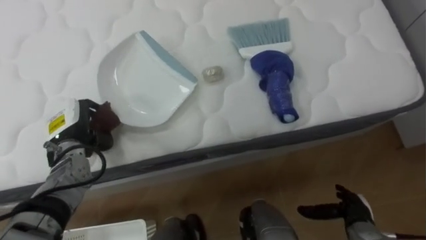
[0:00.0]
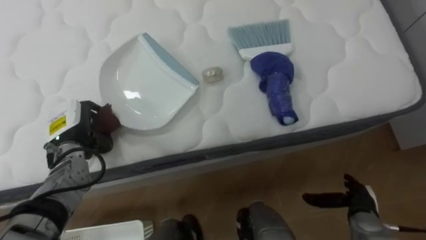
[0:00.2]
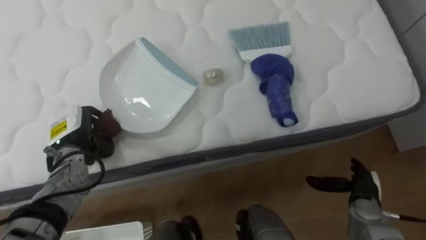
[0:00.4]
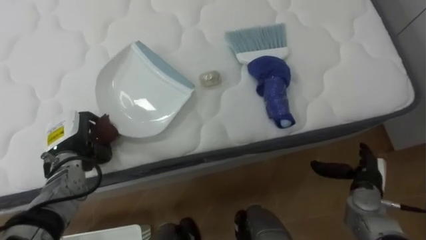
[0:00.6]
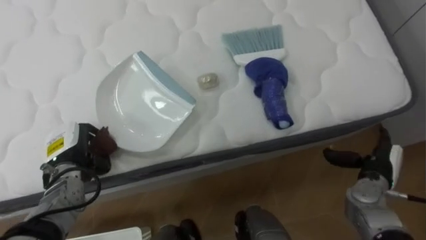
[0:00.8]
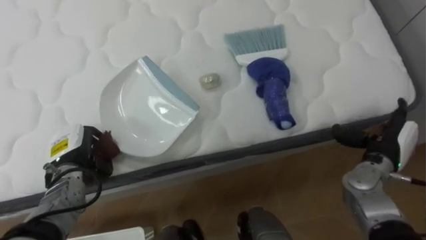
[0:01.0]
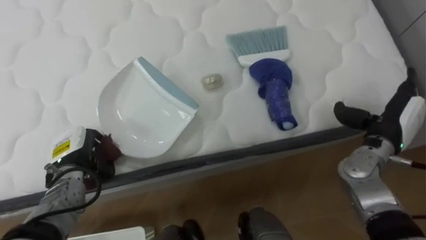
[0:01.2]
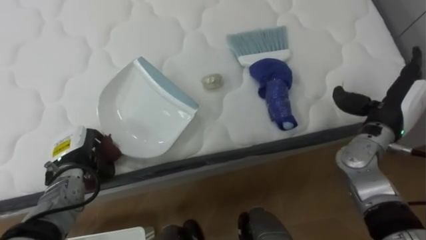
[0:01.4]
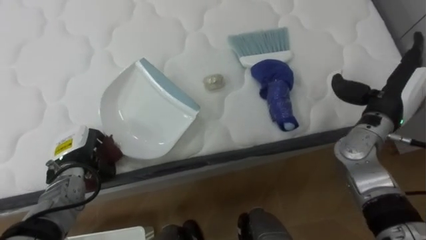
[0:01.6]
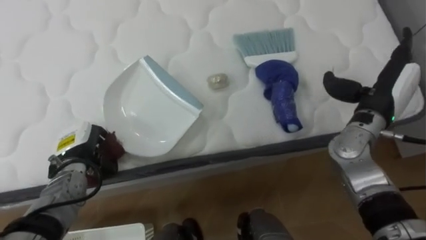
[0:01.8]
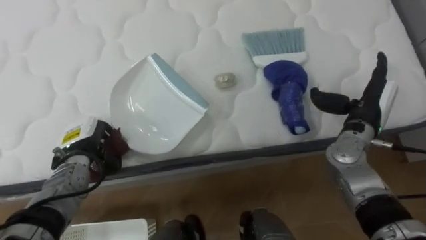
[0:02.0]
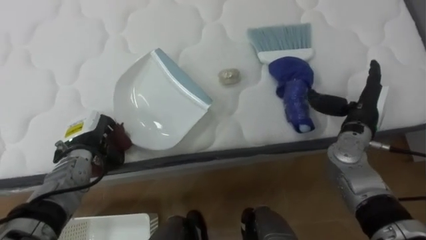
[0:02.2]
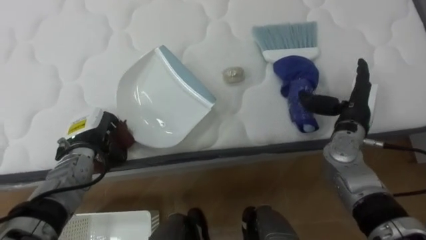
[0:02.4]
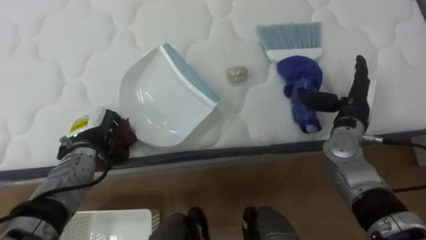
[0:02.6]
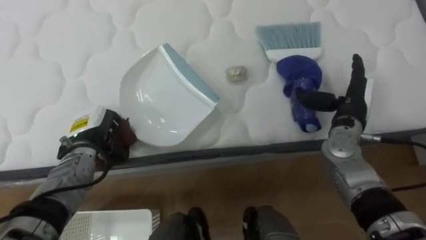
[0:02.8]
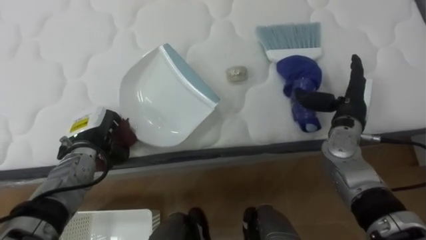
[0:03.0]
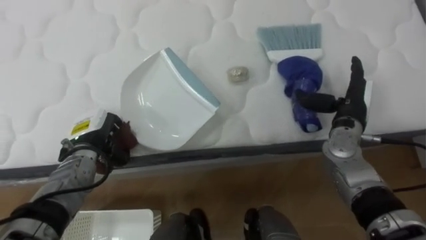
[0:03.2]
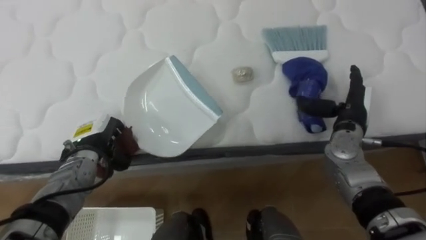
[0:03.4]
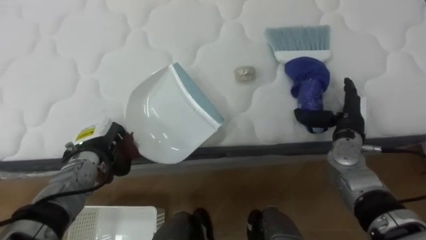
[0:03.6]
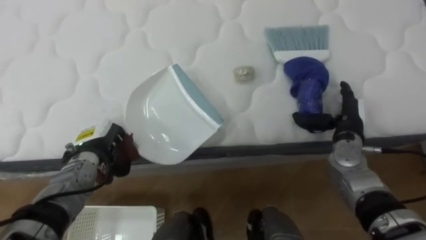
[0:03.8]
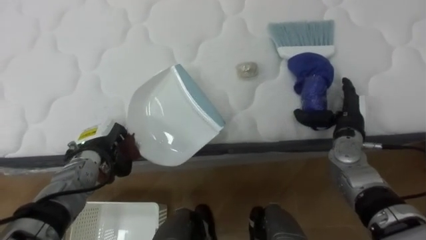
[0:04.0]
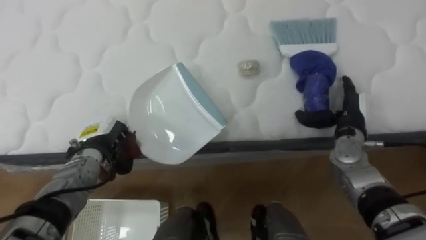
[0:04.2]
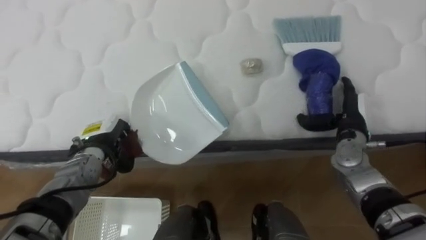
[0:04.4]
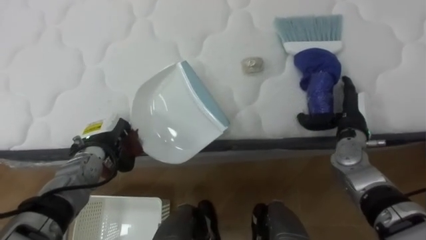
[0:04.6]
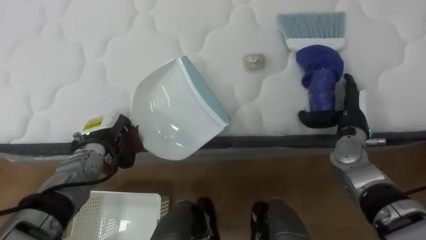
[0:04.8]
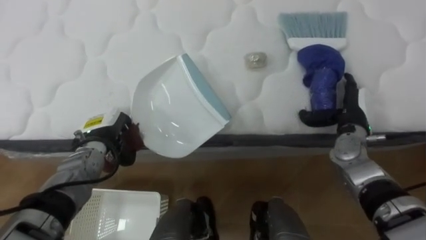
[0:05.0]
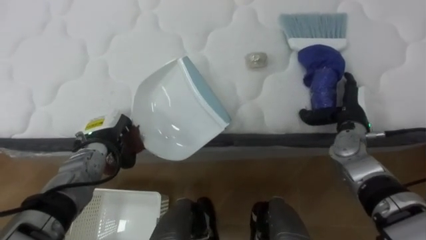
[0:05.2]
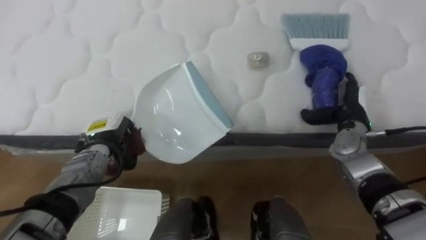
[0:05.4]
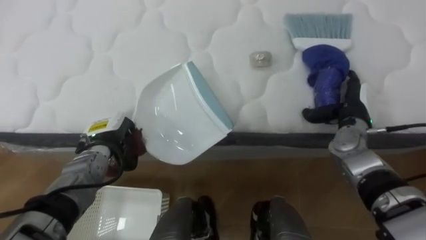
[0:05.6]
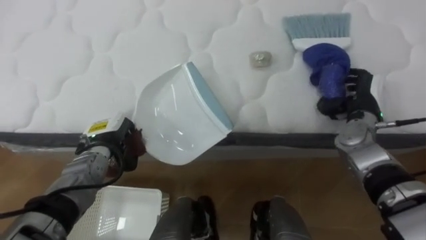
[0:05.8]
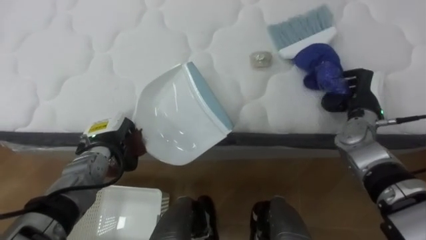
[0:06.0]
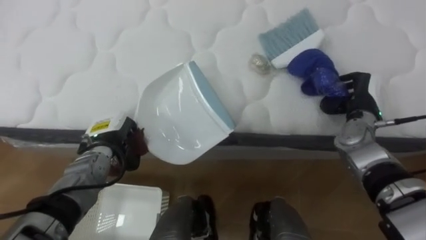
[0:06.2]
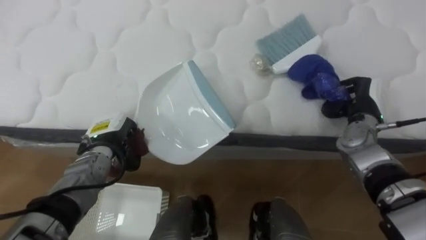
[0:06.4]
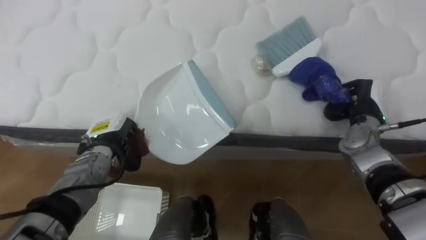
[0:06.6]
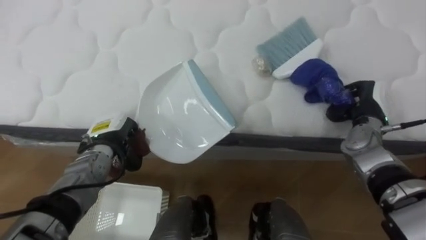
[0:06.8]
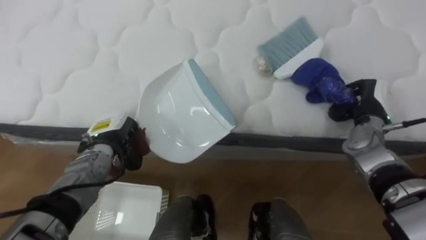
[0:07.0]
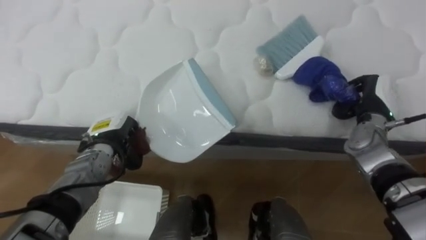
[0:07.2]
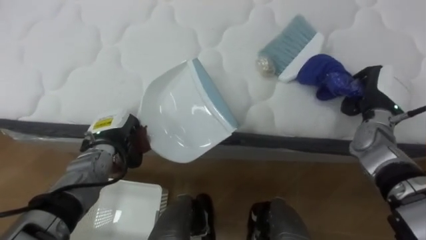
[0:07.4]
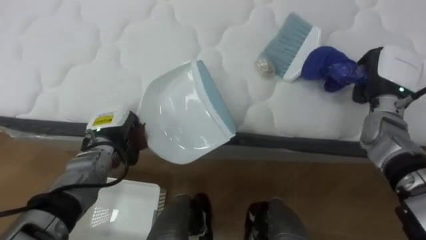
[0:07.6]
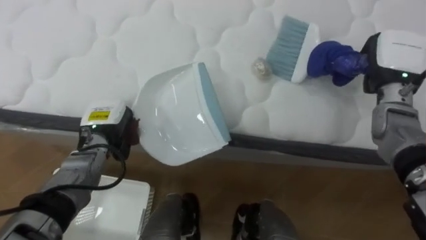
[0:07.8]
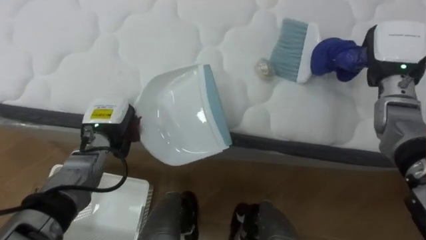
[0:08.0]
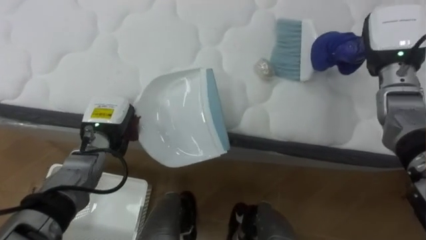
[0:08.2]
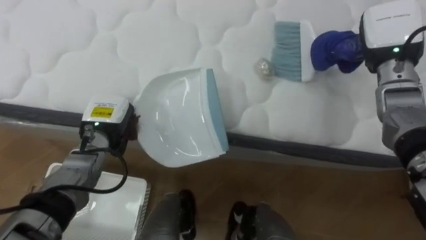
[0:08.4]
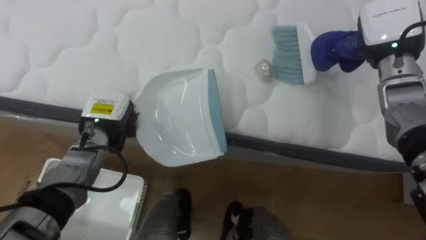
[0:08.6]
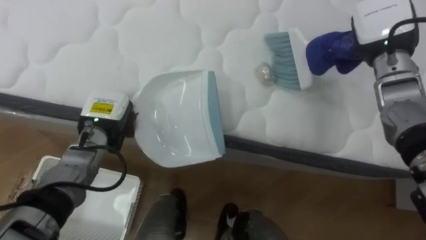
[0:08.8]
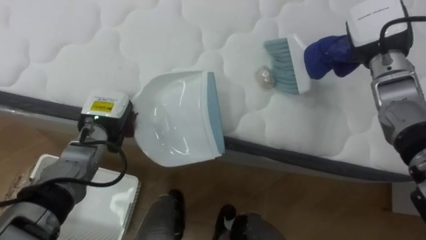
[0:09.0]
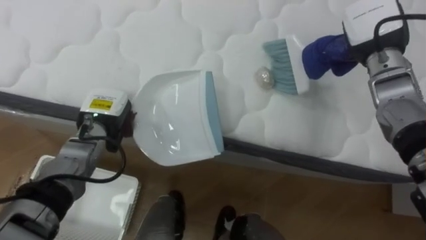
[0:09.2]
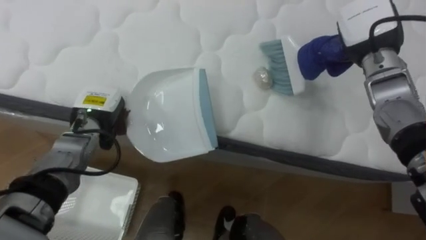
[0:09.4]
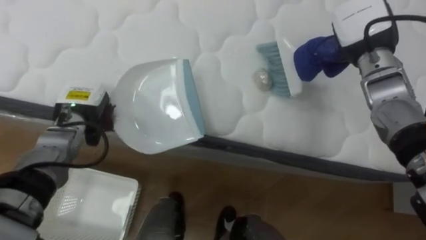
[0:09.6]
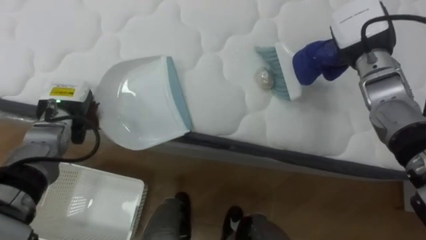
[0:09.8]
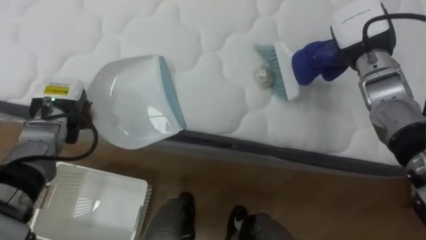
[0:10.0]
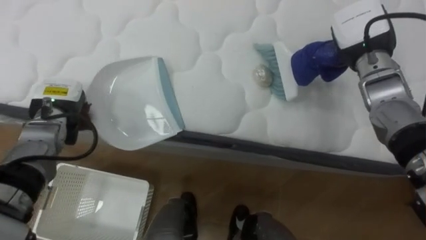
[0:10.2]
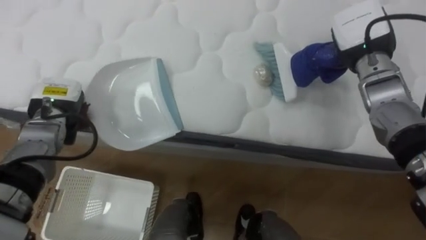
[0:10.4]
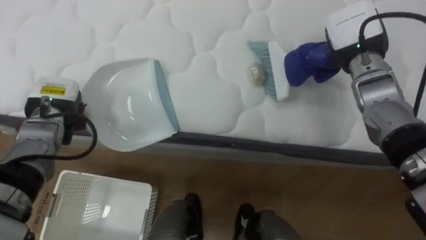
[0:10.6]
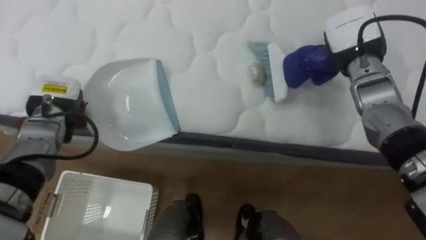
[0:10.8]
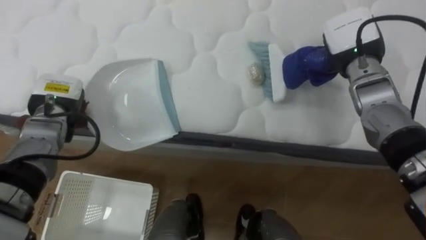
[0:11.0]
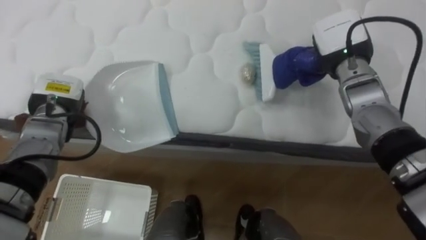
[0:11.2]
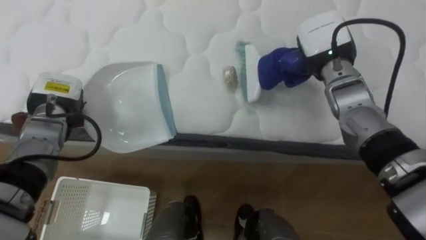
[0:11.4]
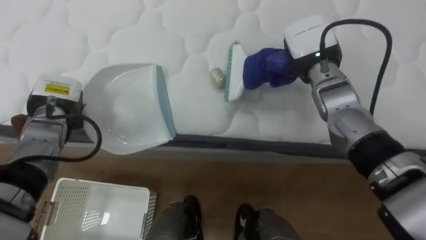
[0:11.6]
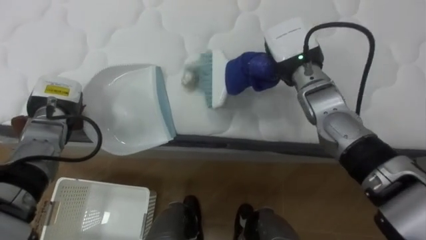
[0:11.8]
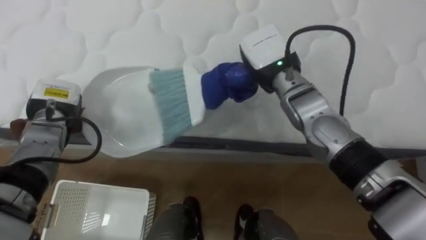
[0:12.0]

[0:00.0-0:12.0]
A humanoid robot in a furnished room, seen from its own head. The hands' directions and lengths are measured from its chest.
Task of the whole recording: Pick up the brush on your right and the dustpan on your left. Use the brush to sweep the crumpled paper on the bed into the dustpan, then turn left and empty it into the basket.
0:00.0 to 0:01.6: The left hand shifts approximately 5 cm downward, while the right hand goes approximately 25 cm upward and forward.
0:01.6 to 0:03.0: The right hand shifts by some 5 cm. The left hand shifts by approximately 5 cm.
0:04.4 to 0:06.0: The right hand closes.
0:06.0 to 0:07.6: The right hand moves some 5 cm.
0:07.6 to 0:09.0: The right hand is displaced upward by about 10 cm.
0:09.0 to 0:10.4: The left hand shifts some 10 cm to the left.
0:10.4 to 0:12.0: The right hand travels to the left by approximately 15 cm.

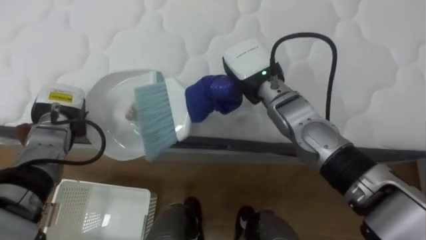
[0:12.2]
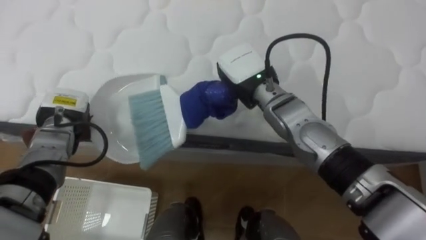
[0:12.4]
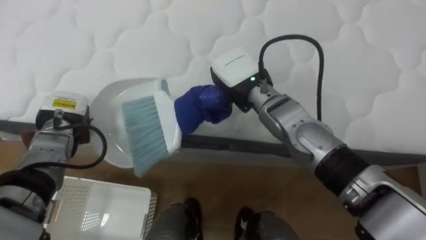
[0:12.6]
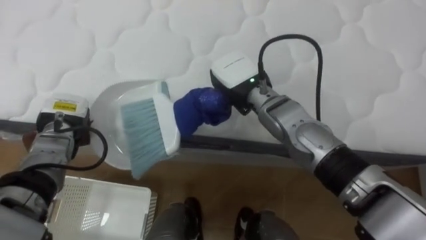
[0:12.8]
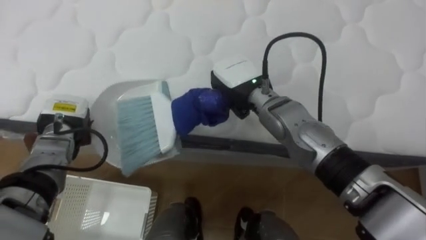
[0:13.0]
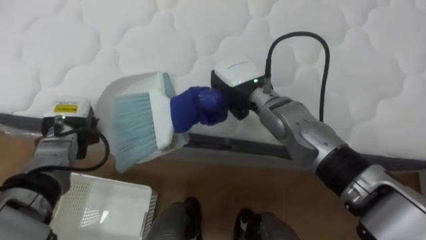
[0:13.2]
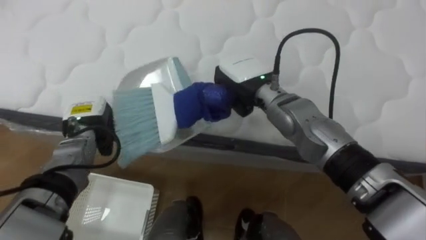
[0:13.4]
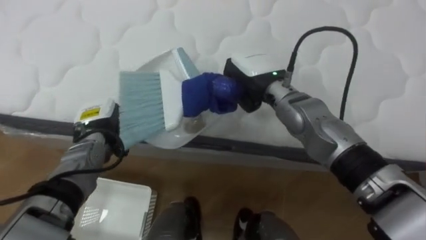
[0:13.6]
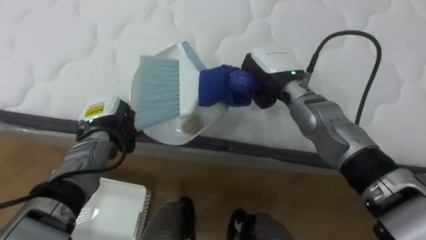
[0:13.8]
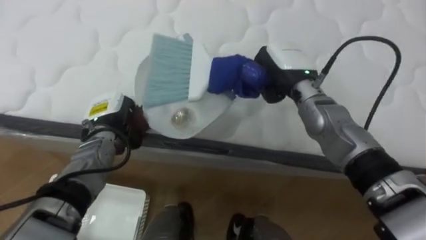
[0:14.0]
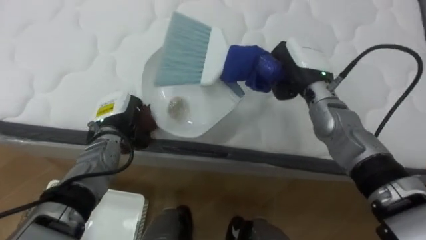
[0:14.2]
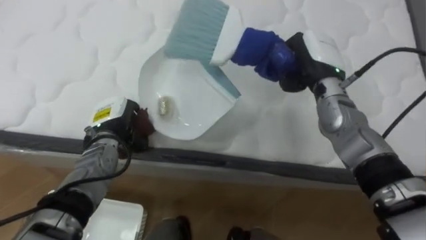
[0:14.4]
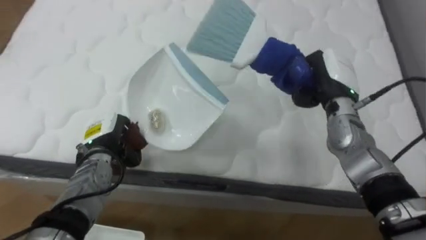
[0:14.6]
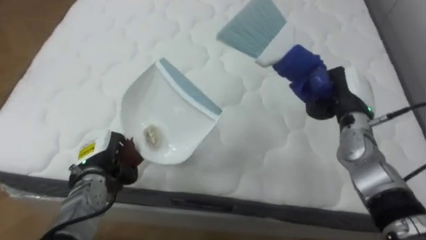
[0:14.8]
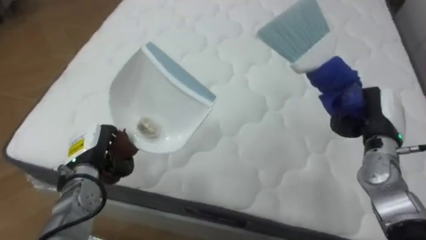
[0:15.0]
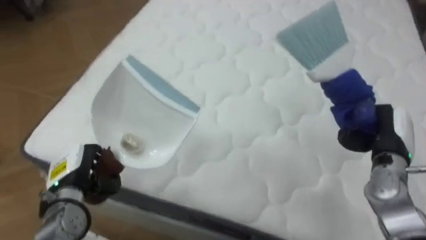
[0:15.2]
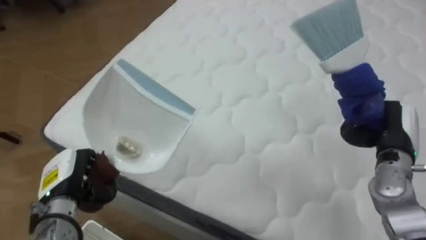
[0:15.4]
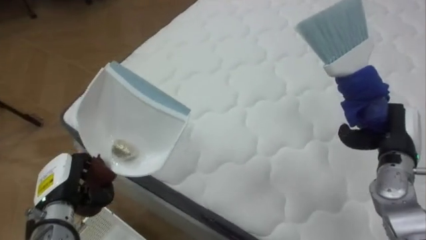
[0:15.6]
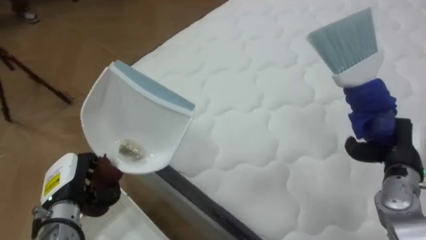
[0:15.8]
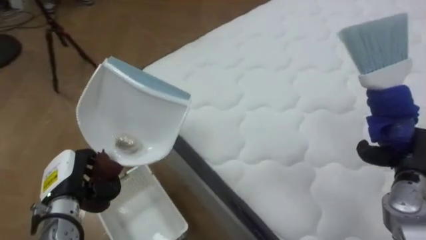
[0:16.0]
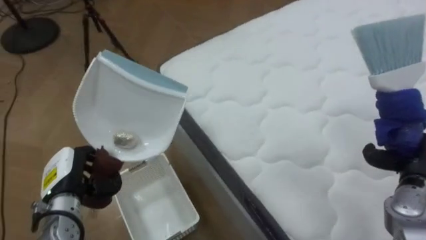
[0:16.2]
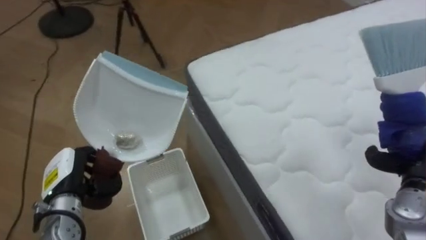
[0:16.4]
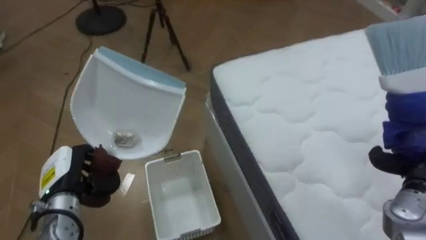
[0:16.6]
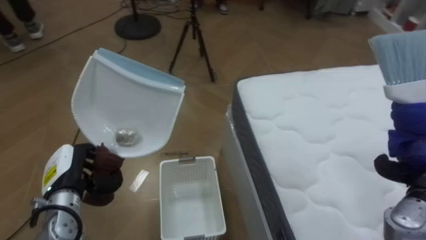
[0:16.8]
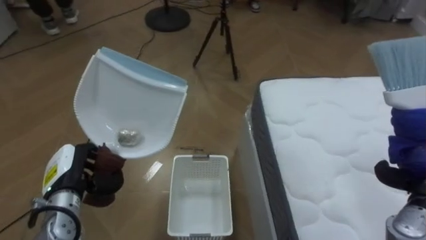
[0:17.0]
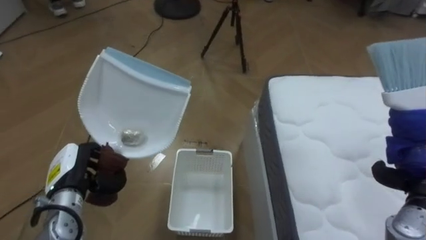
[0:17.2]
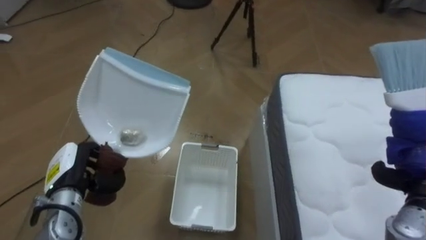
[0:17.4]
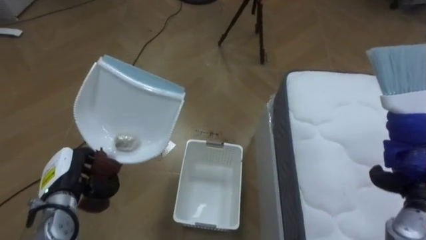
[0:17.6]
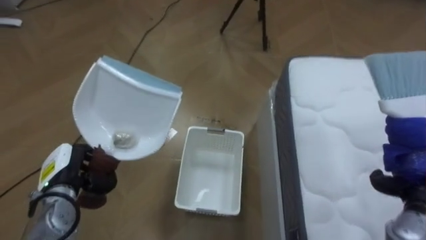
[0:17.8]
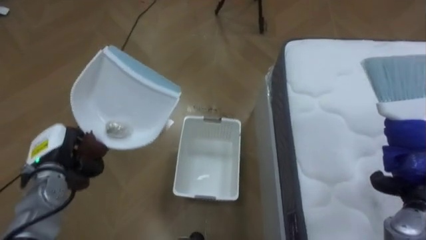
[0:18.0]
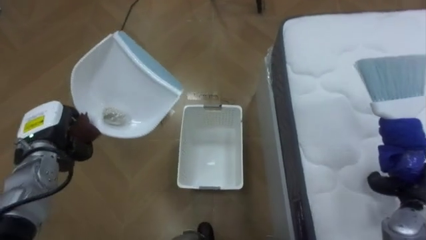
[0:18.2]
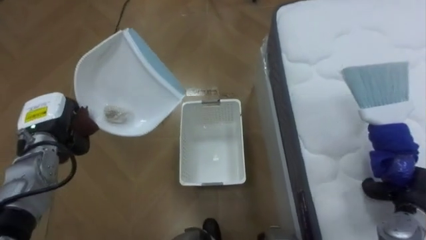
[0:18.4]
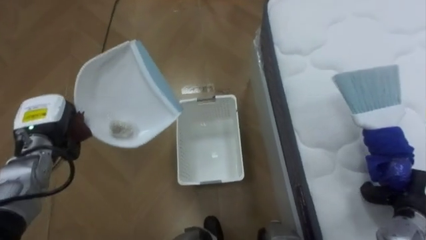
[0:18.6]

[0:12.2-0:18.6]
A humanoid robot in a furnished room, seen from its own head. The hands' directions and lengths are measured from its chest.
Task of the whole recording: Pick up the brush on your right and the dustpan on your left. Use the brush to sweep the crumpled paper on the bed into the dustpan, then turn left and empty it into the basket.
0:12.2 to 0:13.8: The left hand moves to the right, roughly 5 cm.
0:13.8 to 0:15.4: The robot faces some 20 degrees further to its left. The right hand goes roughly 25 cm to the right and backward; the left hand moves backward and to the left, approximately 15 cm.
0:15.4 to 0:17.0: The robot's body swings approximately 65 degrees to its left.
0:17.0 to 0:18.6: The left hand moves forward and upward, about 10 cm.
